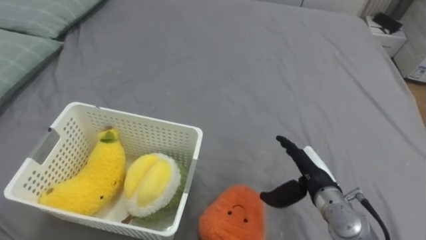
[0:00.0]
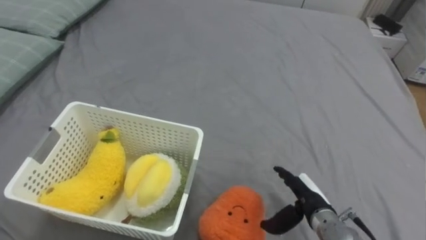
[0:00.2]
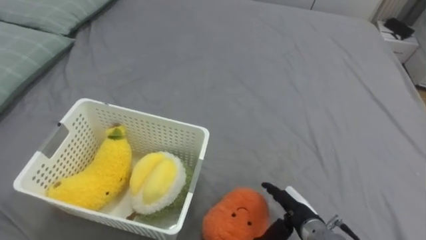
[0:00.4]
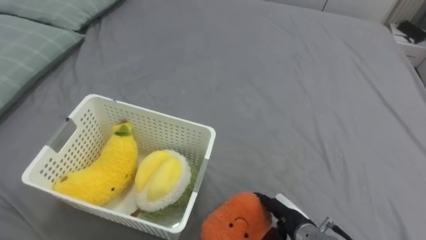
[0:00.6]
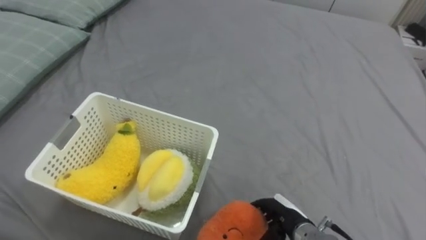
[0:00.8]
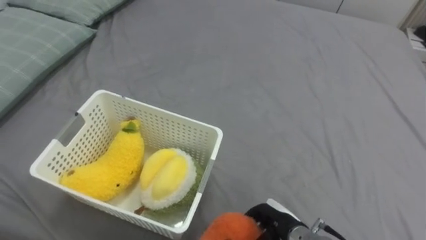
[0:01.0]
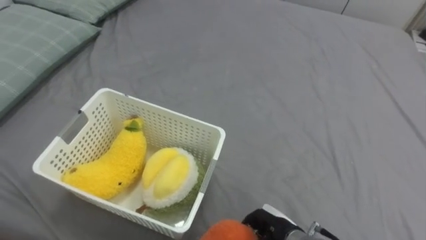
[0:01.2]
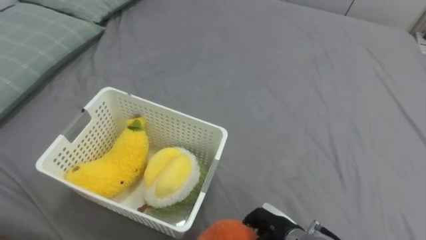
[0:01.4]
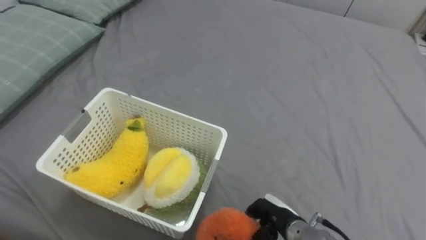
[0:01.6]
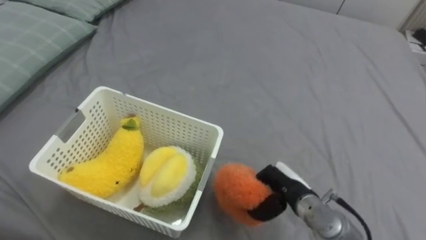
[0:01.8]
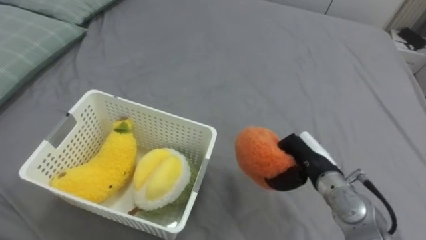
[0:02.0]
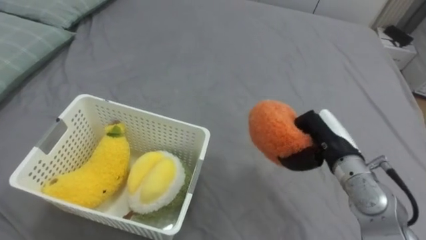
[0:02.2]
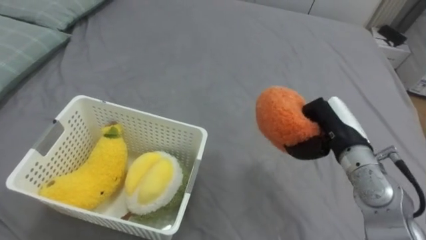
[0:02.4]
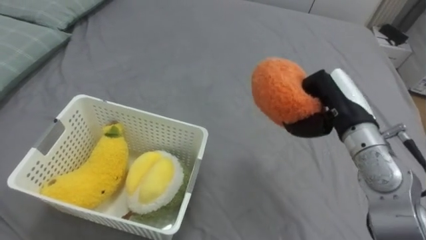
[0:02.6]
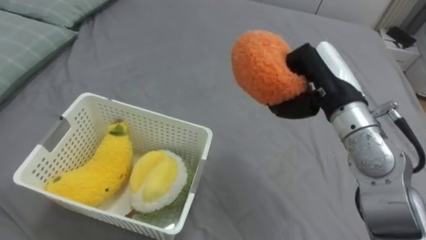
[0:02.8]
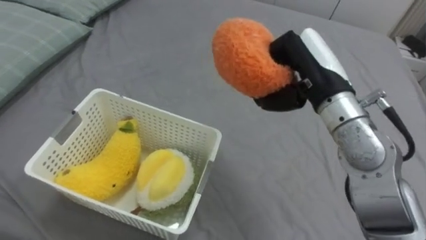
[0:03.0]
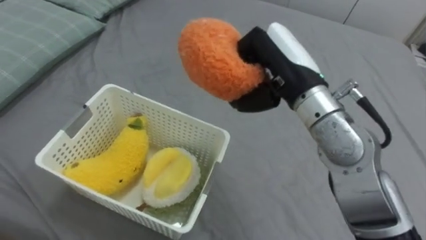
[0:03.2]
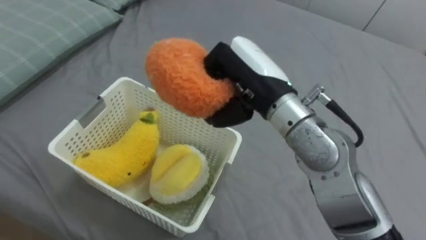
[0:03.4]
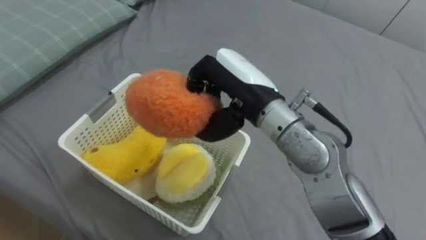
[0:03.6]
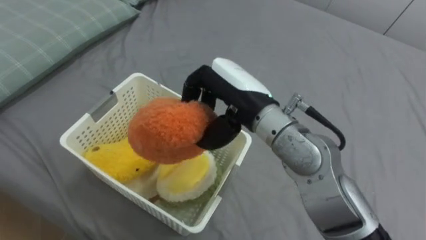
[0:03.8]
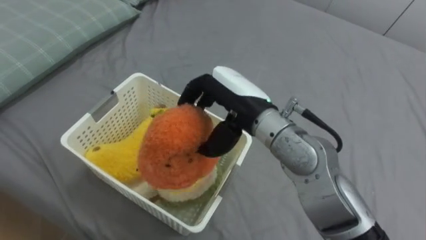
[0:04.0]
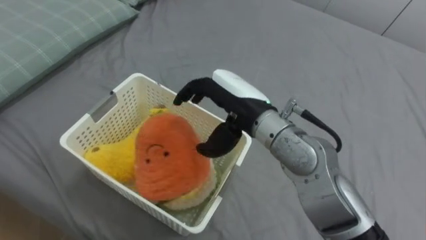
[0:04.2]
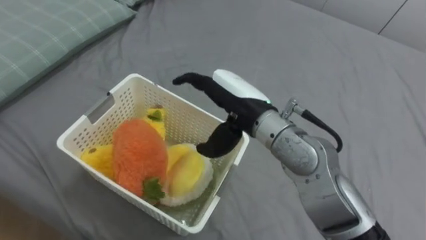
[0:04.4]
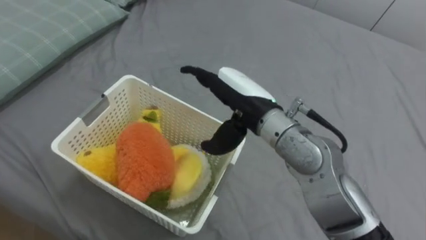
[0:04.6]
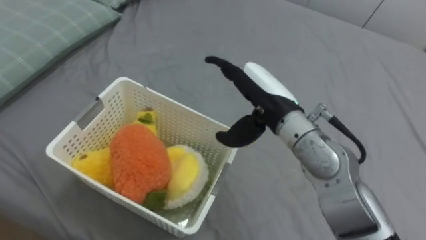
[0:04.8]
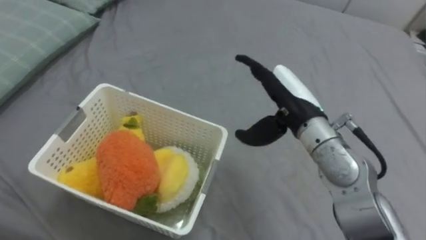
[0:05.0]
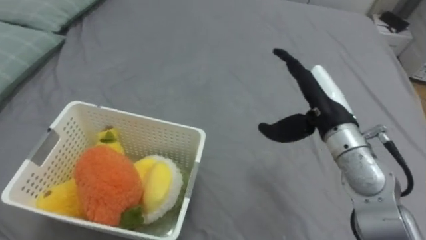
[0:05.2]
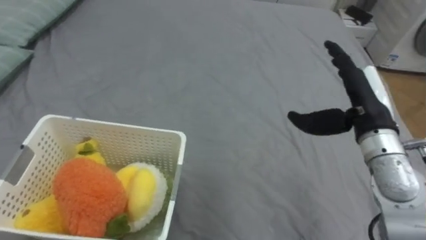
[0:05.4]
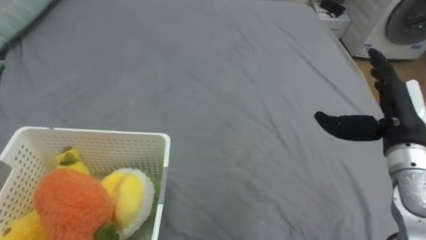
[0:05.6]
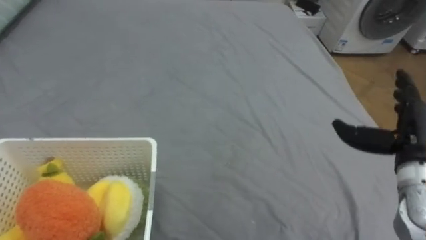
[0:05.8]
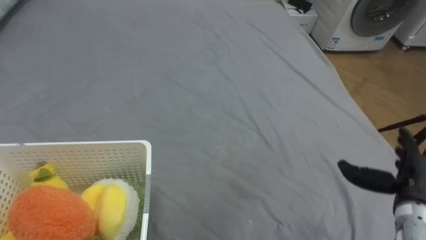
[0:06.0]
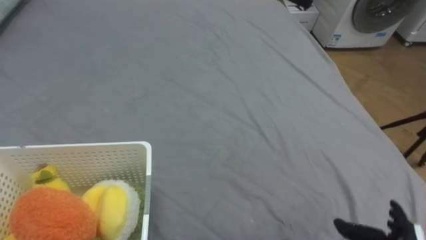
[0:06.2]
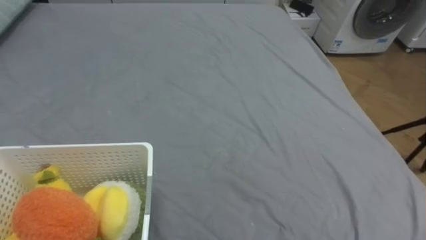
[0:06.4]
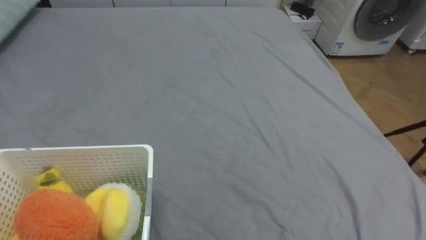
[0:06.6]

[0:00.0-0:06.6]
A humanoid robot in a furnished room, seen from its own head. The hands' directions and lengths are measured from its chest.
Task of the whole recording: Put the toys on the bed into the basket on the left.
0:00.0 to 0:01.6: The right hand moves downward, to the left and backward, roughly 10 cm, and closes up.
0:01.6 to 0:03.2: The right hand shifts about 30 cm upward.
0:03.2 to 0:05.0: The right hand heads downward, covering approximately 5 cm, goes to the left and returns, roughly 5 cm each way, and opens its fingers.
